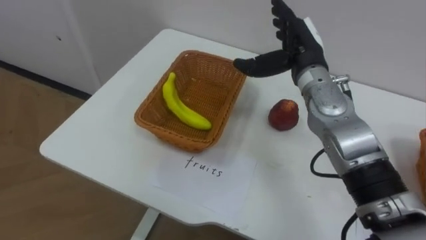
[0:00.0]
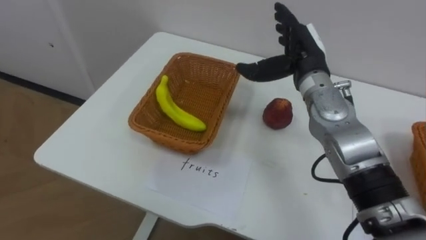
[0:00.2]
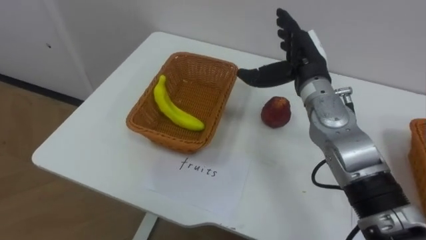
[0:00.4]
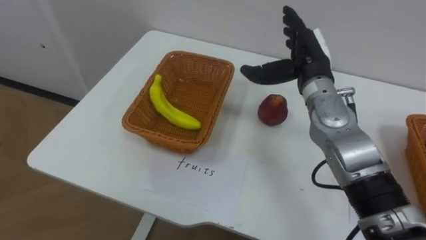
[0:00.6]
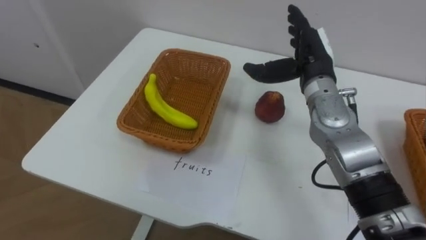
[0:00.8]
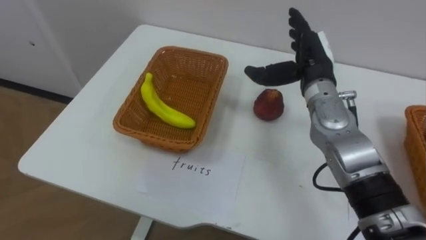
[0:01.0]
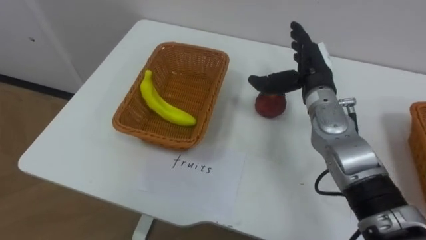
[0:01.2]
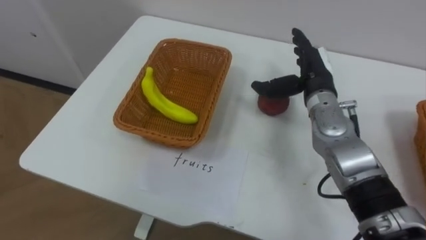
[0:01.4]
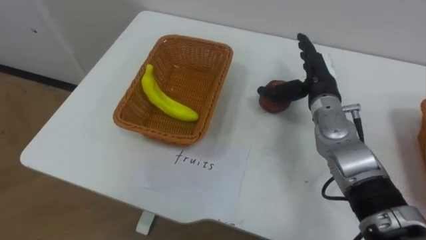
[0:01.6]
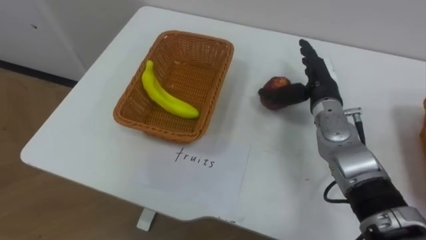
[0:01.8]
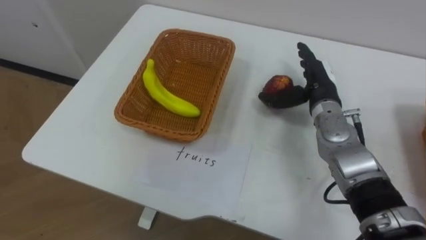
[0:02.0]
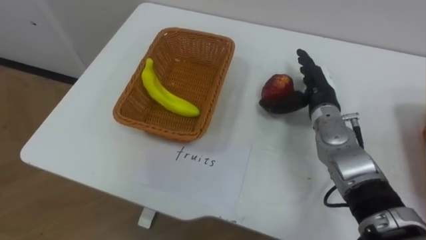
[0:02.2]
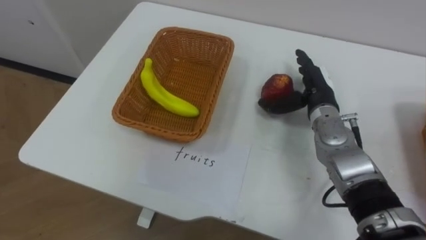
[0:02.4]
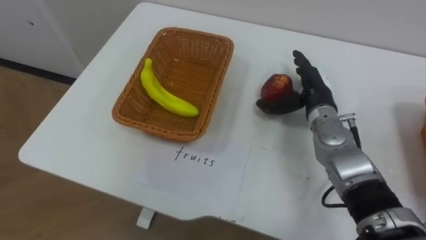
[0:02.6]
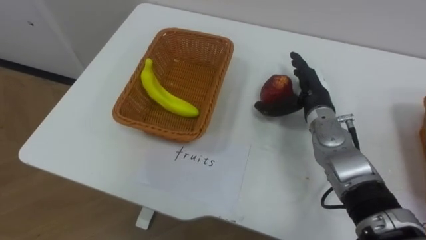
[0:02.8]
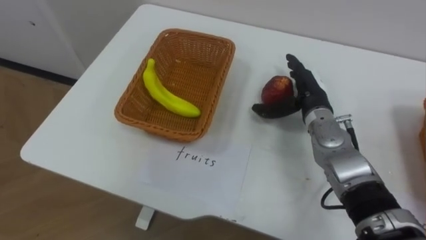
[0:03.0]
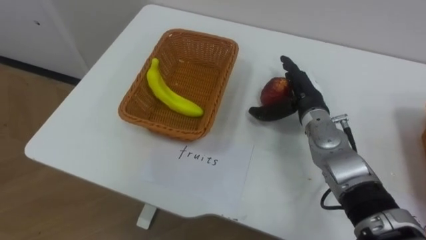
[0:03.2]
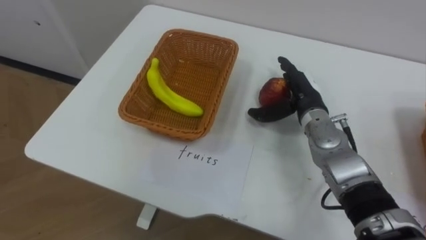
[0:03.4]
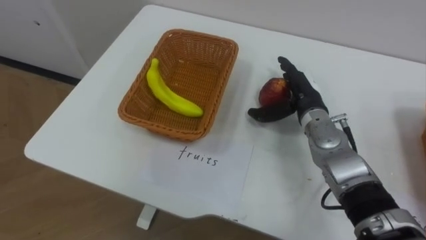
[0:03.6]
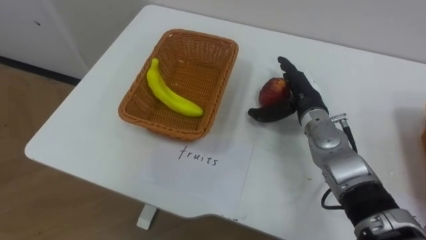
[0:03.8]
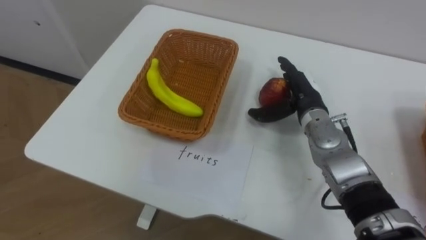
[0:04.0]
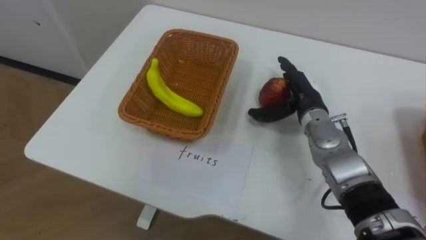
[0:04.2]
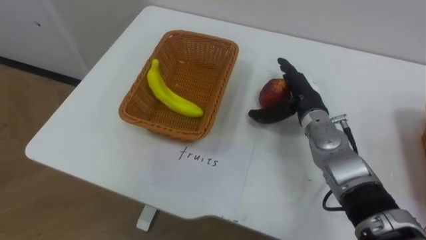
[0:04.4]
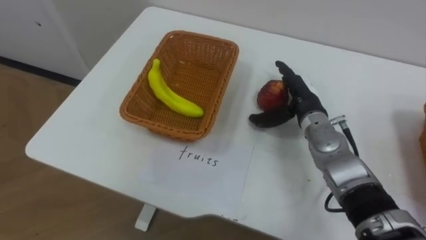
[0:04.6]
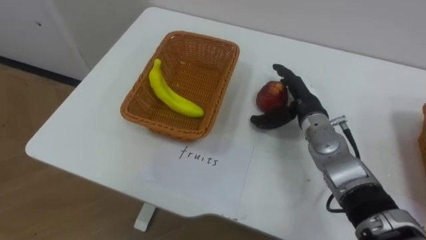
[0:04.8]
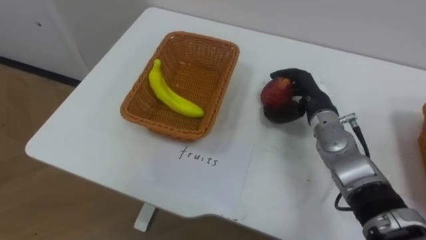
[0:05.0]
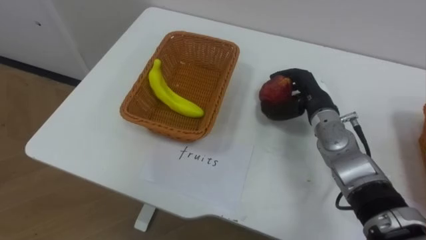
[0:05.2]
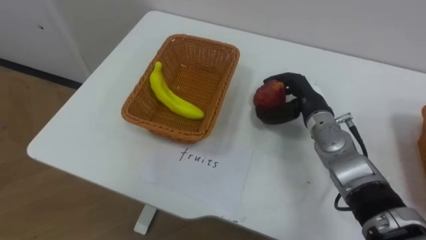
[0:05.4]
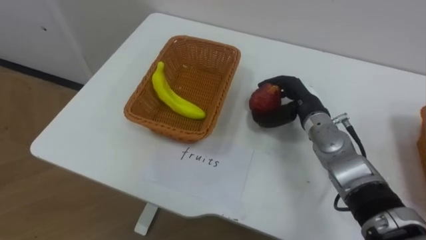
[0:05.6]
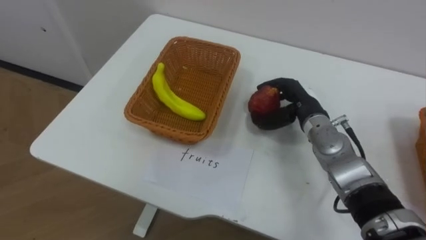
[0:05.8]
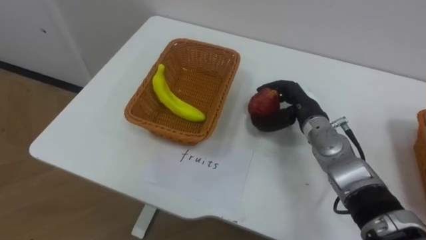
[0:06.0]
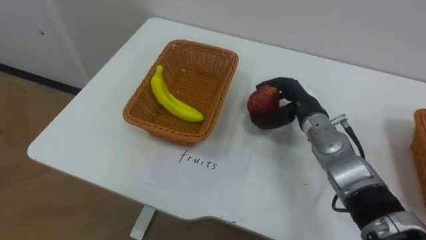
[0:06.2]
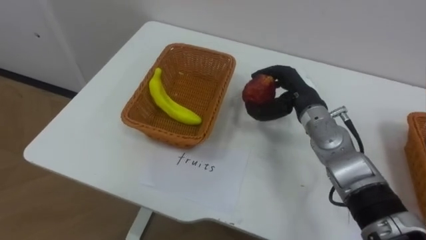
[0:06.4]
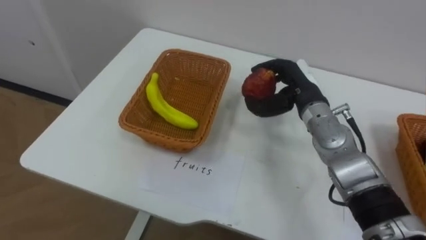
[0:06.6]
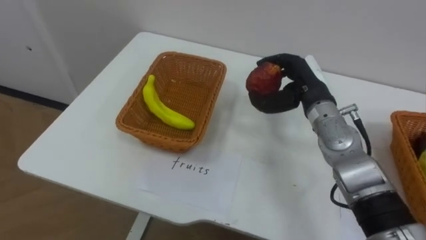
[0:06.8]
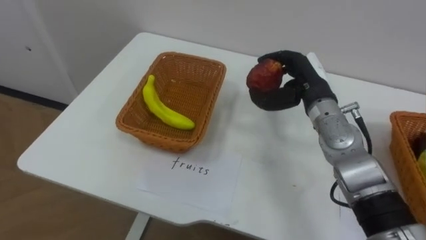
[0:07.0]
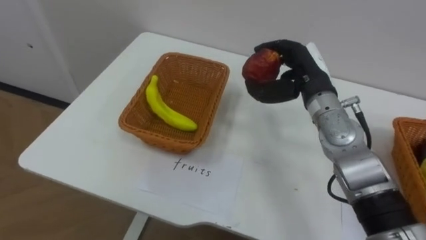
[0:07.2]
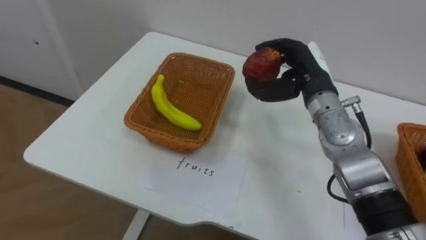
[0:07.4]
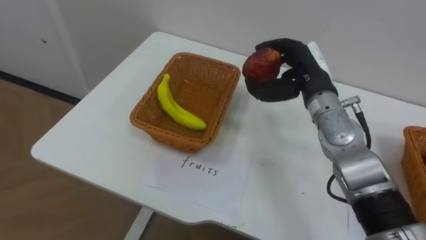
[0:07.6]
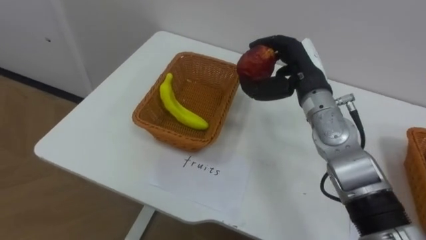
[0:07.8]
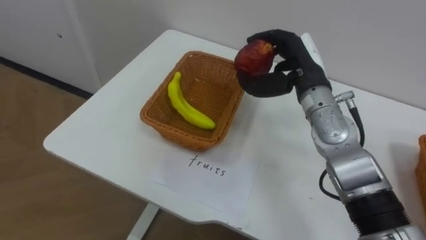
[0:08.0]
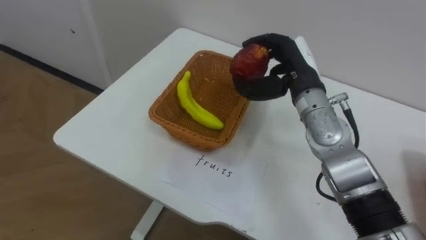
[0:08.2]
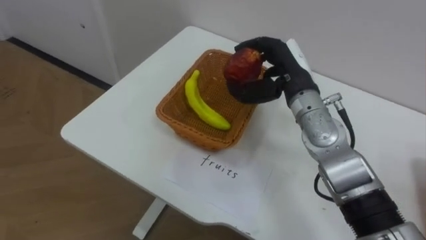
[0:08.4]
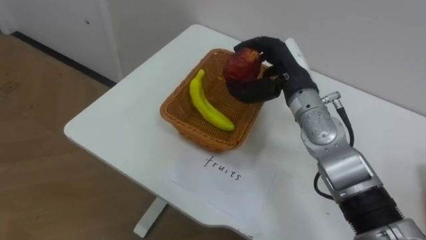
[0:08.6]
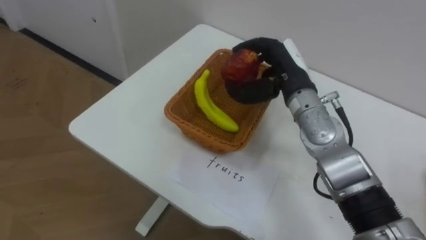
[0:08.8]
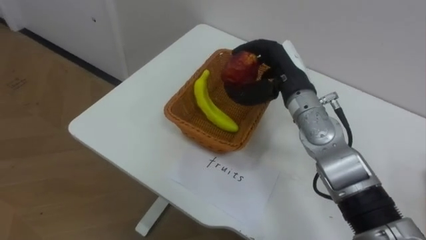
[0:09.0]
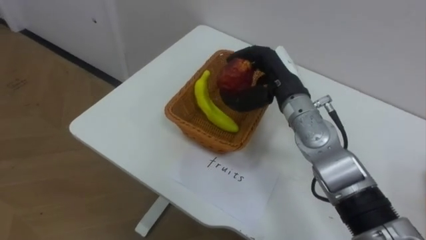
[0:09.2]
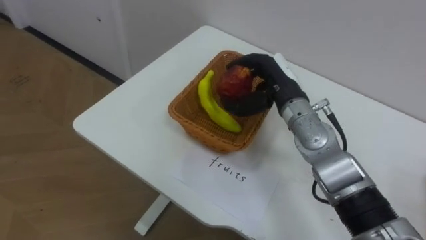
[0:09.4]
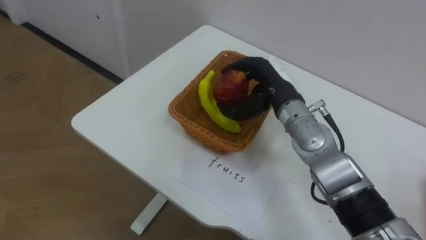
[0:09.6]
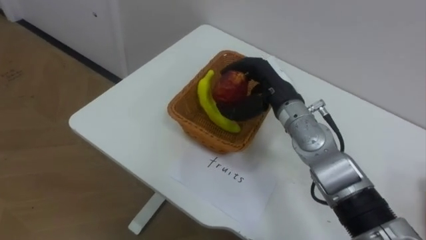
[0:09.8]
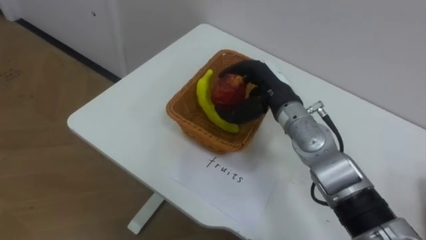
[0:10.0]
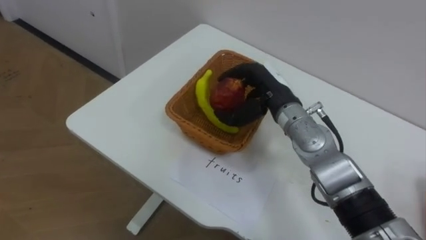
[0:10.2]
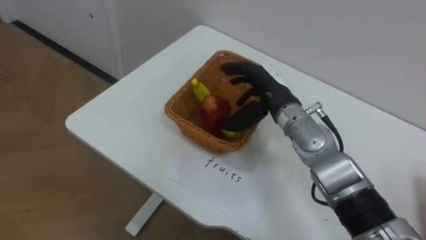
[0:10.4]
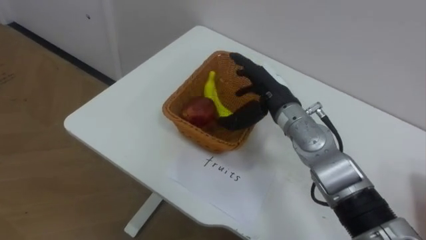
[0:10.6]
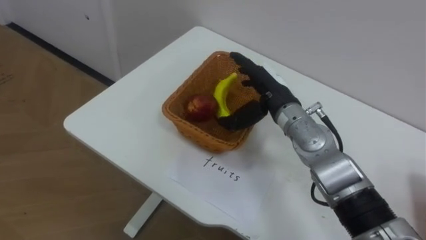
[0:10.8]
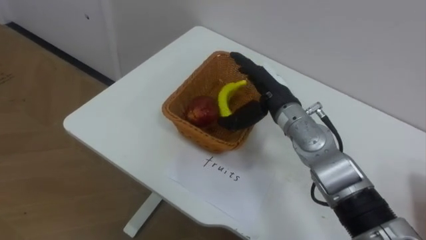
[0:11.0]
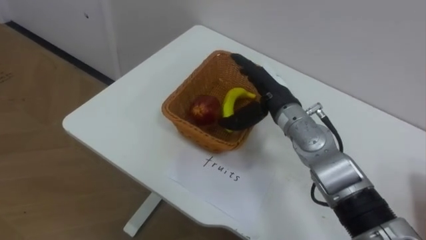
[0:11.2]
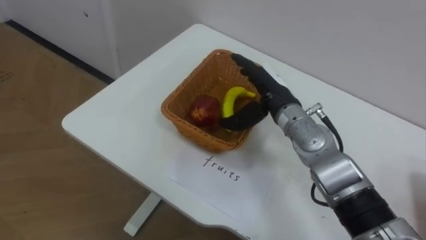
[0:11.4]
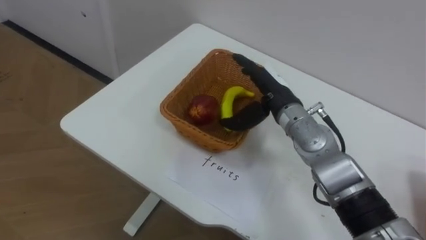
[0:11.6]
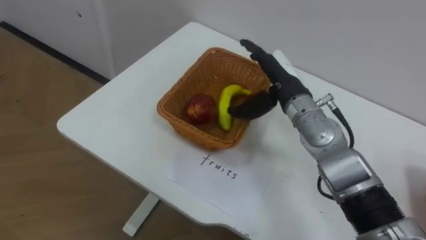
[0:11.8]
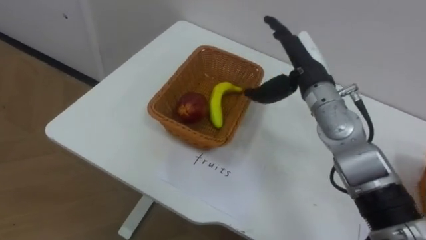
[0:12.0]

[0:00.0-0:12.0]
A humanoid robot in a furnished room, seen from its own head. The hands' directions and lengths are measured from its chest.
Task of the whole recording: Separate the items on the table and place them into the two baskets.
0:00.0 to 0:01.6: The right hand shifts roughly 5 cm downward.
0:04.4 to 0:06.0: The right hand closes its fingers.
0:06.0 to 0:07.6: The right hand heads upward, covering about 10 cm.
0:10.4 to 0:12.0: The right hand ends up about 5 cm from where it was.

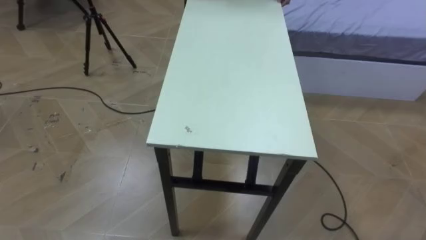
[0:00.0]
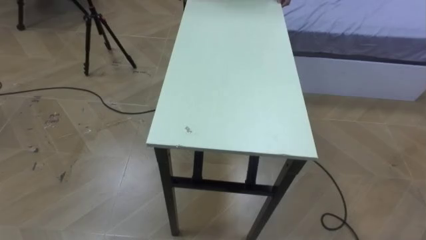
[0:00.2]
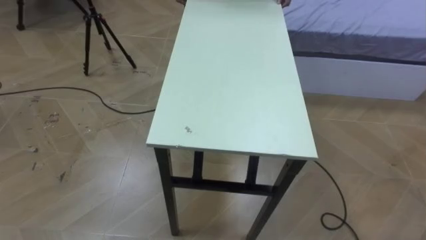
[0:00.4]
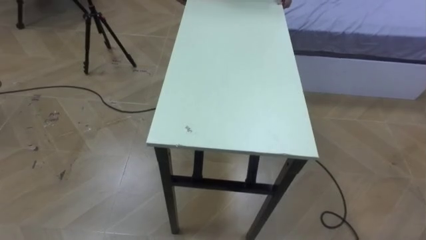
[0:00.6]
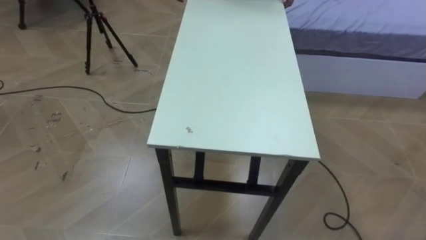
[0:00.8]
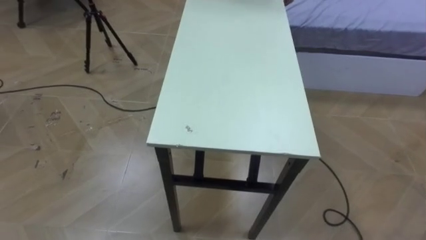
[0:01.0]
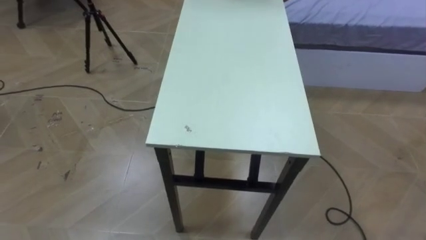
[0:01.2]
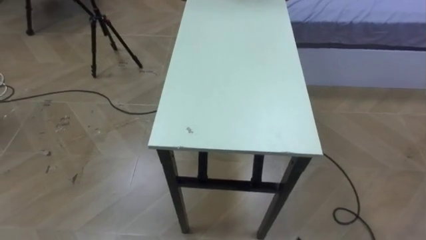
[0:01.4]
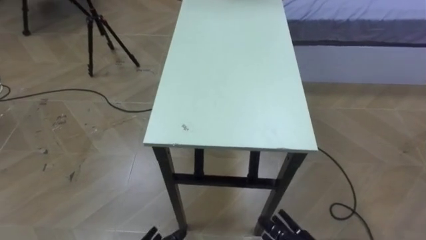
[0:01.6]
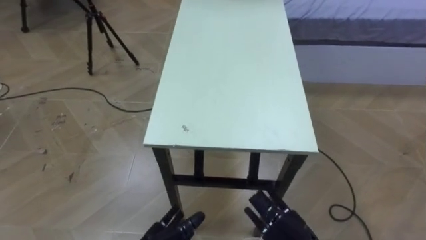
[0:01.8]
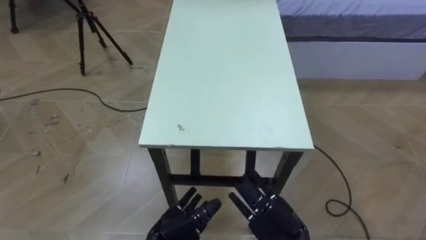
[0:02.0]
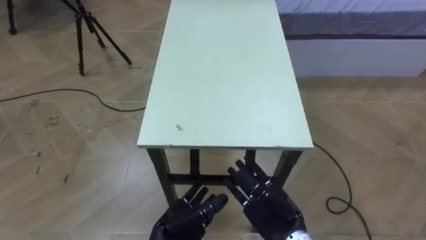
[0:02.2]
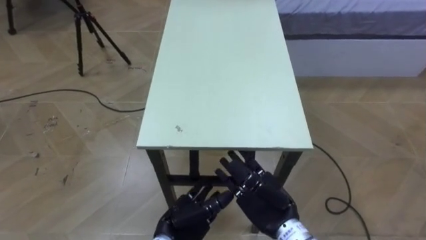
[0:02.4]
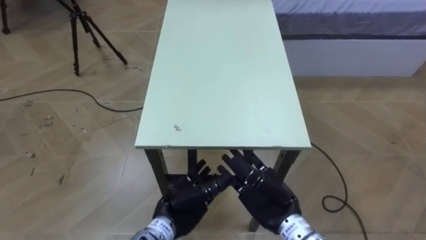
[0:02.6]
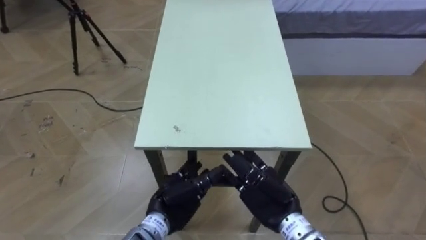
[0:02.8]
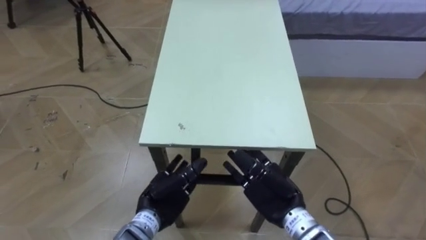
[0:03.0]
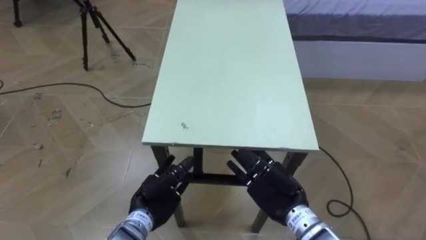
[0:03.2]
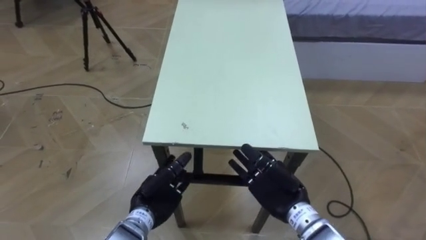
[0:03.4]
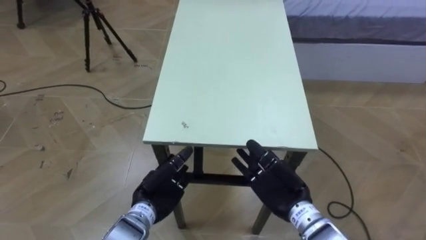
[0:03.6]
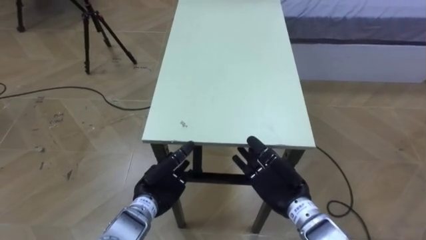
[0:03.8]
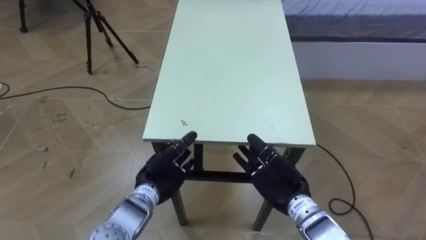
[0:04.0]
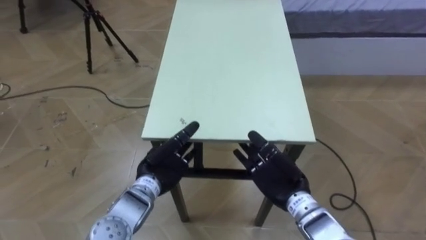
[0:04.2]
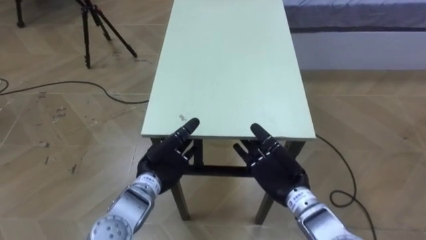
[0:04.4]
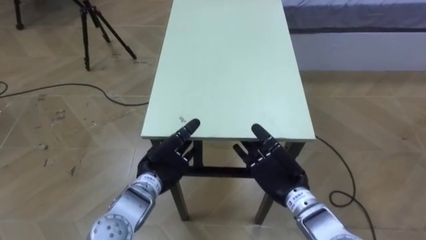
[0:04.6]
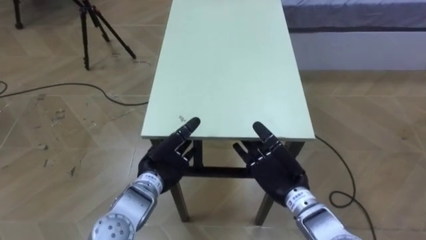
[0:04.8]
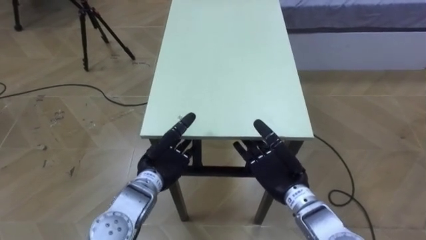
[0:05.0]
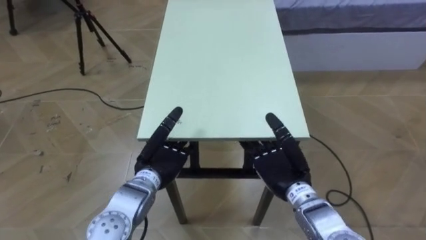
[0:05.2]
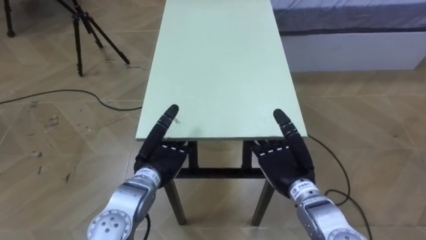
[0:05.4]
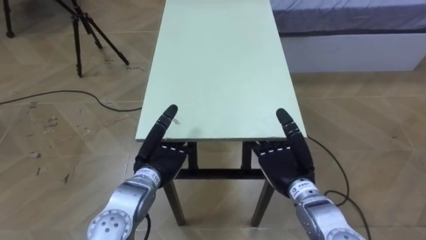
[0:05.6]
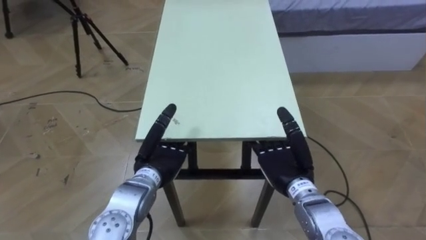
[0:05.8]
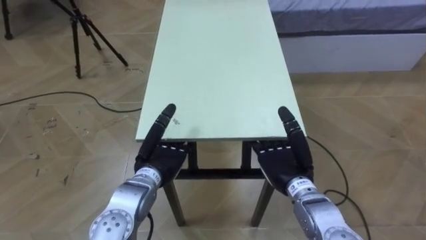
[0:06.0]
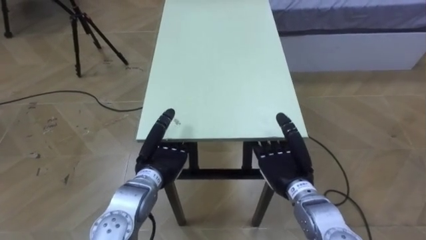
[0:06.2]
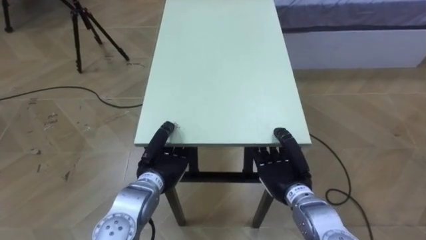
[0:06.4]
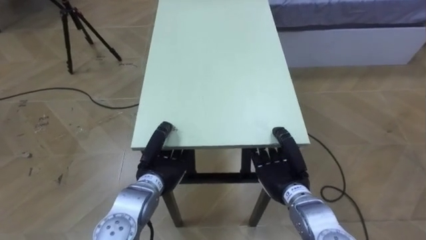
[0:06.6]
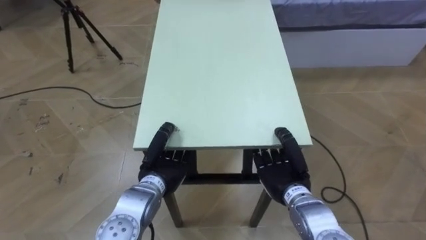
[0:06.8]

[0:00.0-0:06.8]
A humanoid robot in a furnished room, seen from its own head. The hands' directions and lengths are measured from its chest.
Task of the whole recording: Move the table to the back left with someone.
0:02.8 to 0:04.0: The left hand ends up approximately 5 cm from where it was.
0:05.4 to 0:06.8: The right hand closes; the left hand closes.
